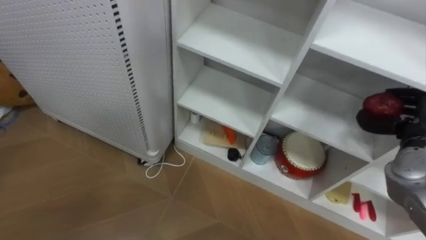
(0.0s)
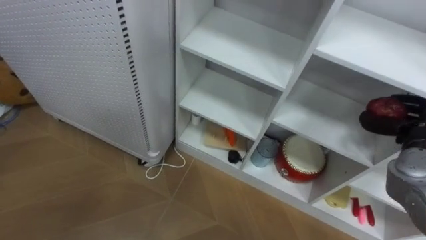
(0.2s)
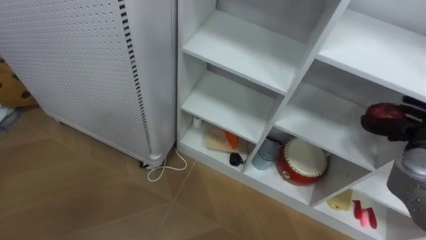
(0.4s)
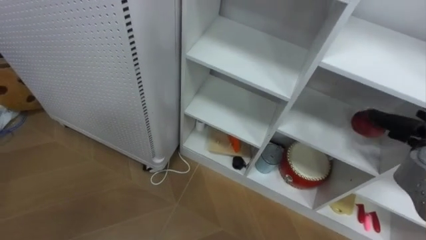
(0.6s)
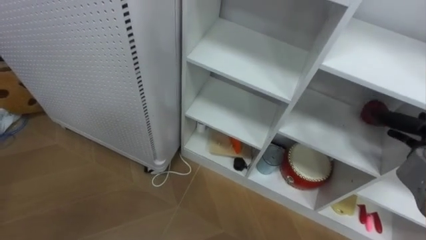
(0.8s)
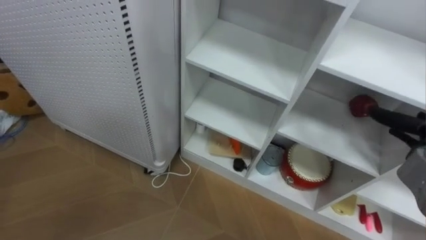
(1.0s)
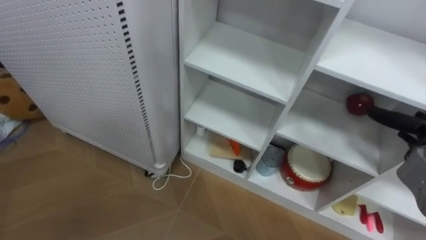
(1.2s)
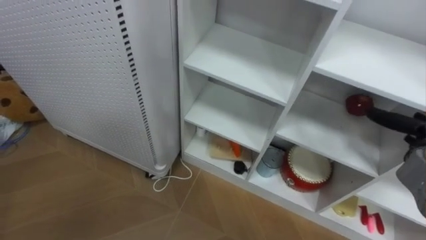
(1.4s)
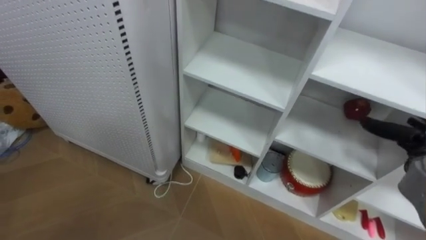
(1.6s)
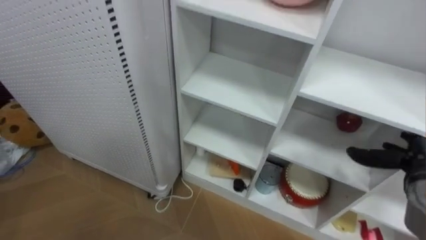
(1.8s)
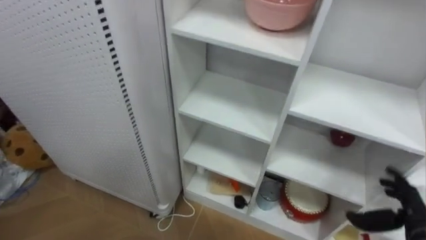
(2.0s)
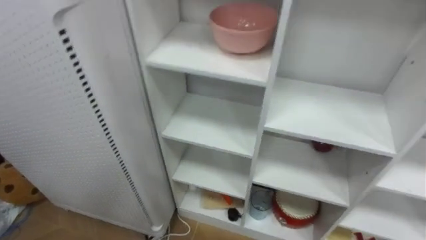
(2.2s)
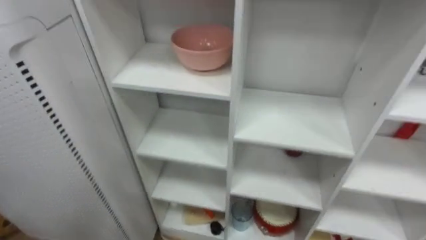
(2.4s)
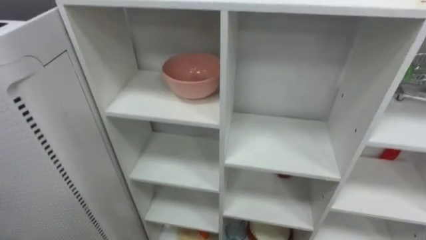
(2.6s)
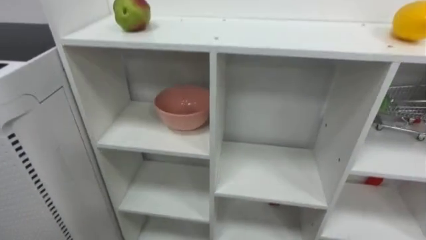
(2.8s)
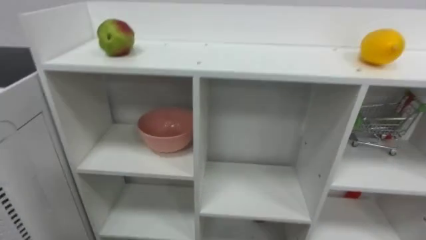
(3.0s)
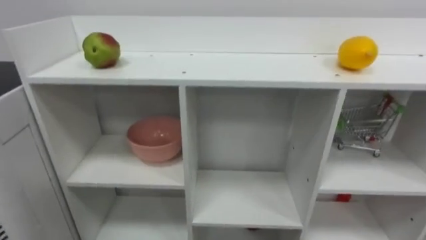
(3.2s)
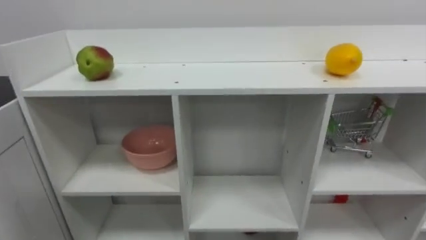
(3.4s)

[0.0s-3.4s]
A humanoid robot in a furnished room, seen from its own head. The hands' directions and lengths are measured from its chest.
Task of the whole recording: Put the apple in the cell in the second column from the left and the second row from the top.
0.0s to 1.6s: The right hand opens its fingers.

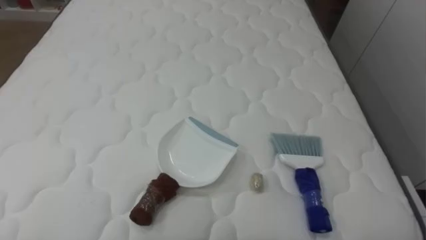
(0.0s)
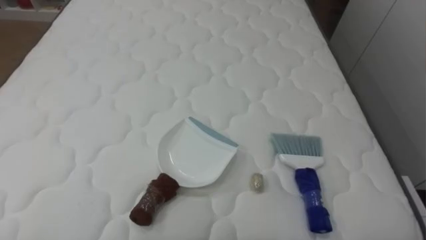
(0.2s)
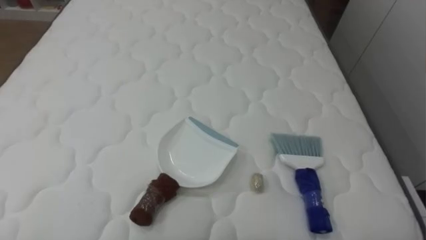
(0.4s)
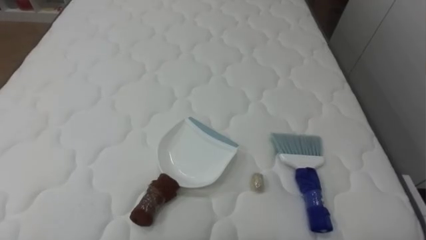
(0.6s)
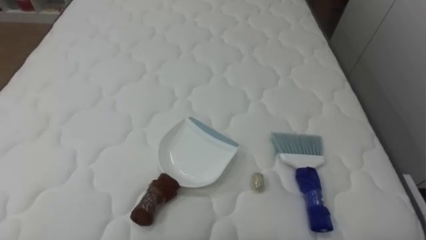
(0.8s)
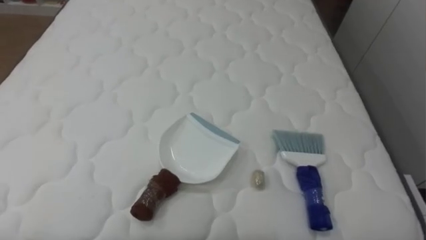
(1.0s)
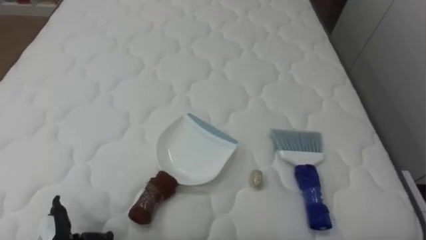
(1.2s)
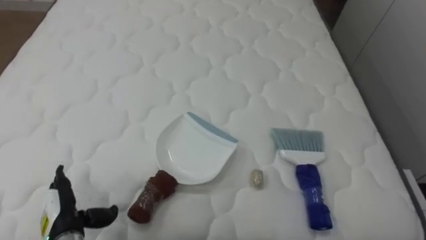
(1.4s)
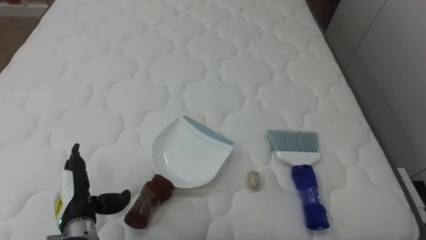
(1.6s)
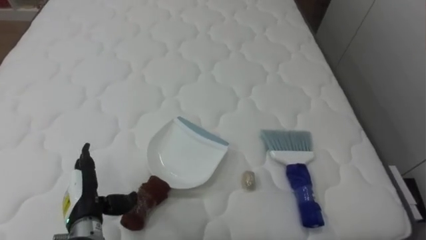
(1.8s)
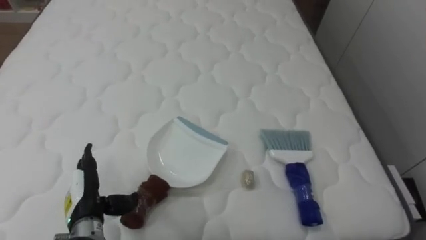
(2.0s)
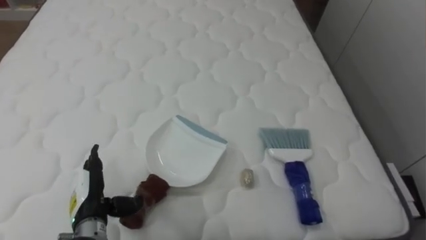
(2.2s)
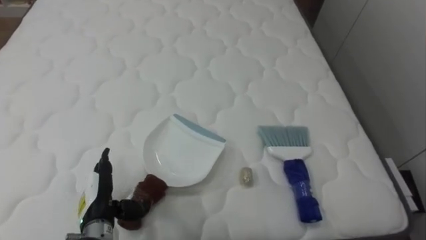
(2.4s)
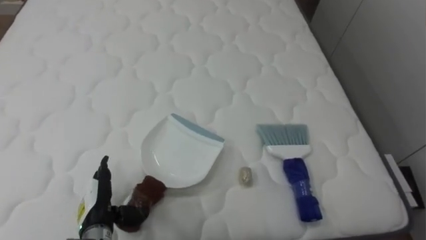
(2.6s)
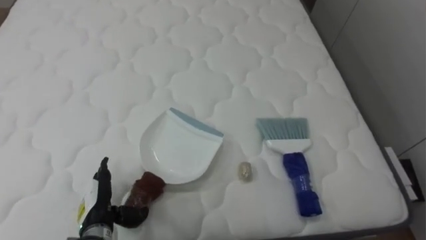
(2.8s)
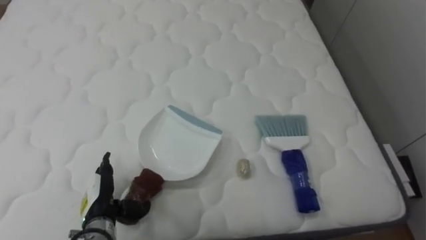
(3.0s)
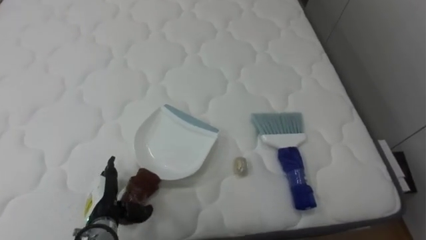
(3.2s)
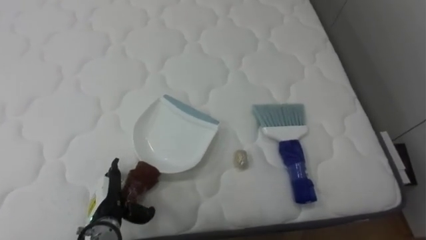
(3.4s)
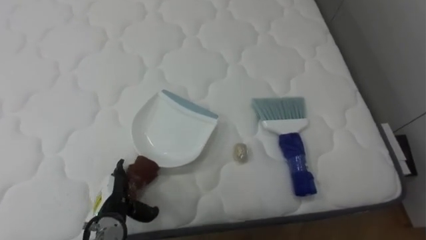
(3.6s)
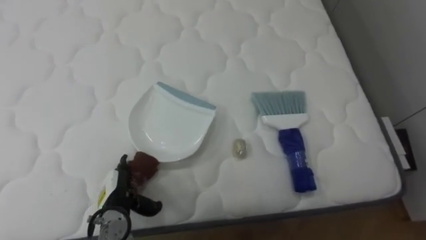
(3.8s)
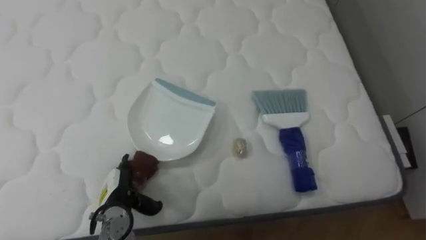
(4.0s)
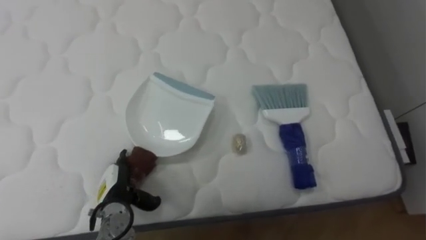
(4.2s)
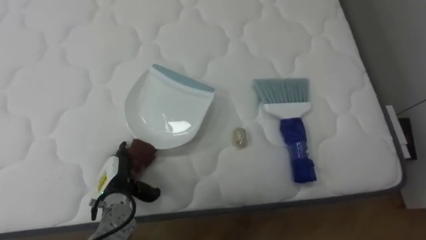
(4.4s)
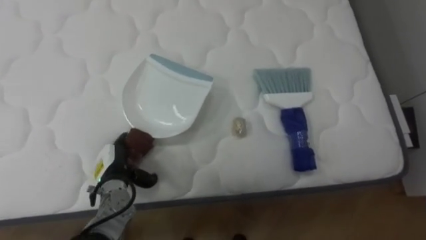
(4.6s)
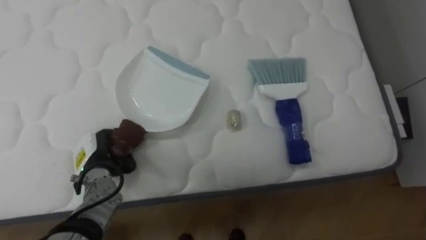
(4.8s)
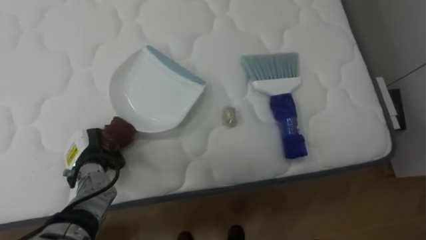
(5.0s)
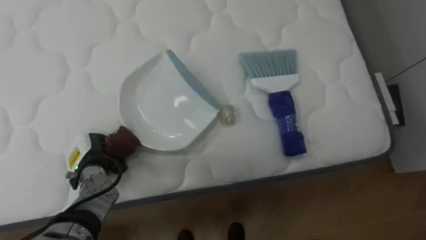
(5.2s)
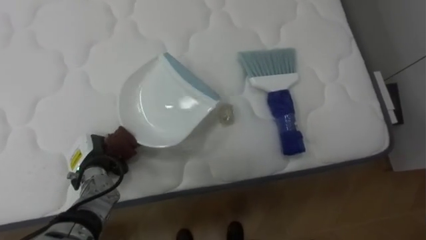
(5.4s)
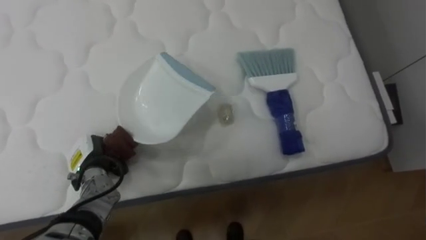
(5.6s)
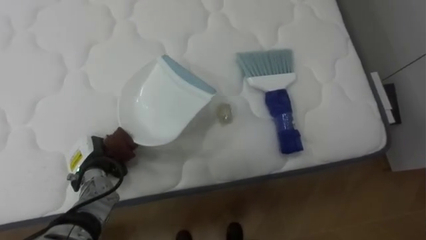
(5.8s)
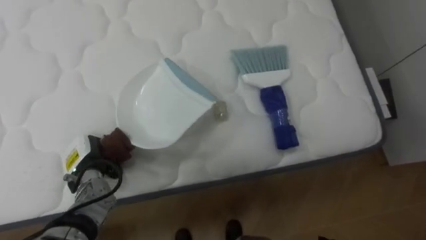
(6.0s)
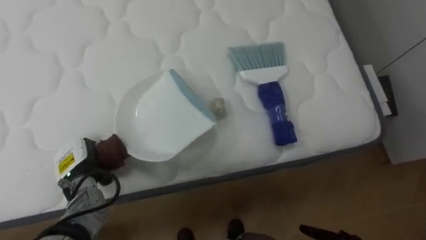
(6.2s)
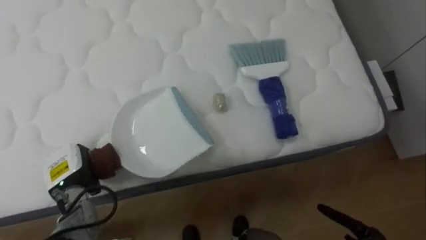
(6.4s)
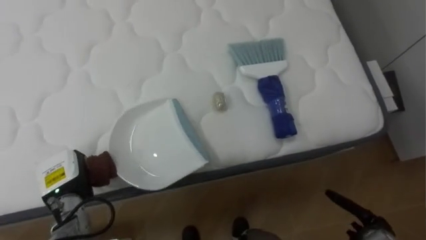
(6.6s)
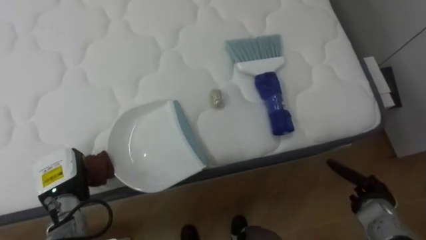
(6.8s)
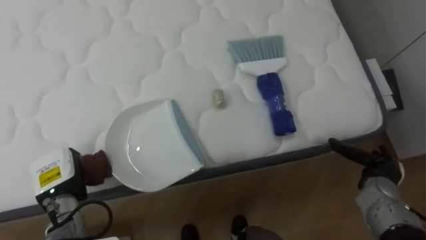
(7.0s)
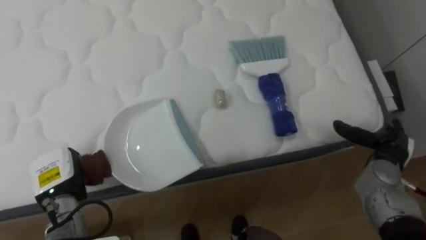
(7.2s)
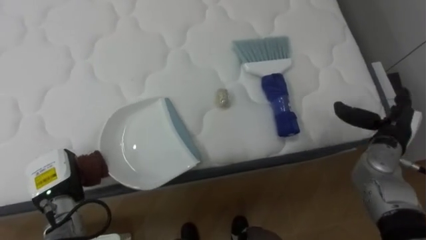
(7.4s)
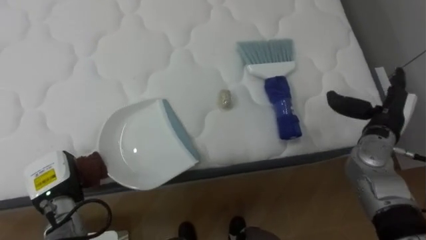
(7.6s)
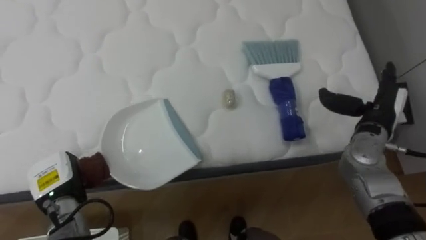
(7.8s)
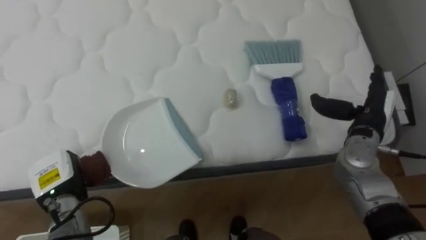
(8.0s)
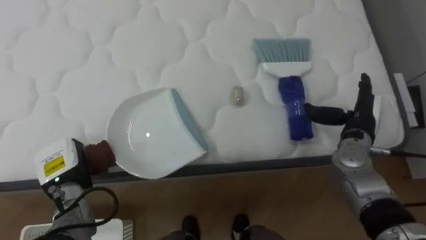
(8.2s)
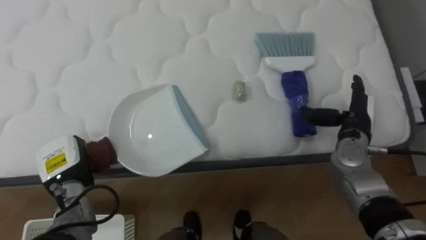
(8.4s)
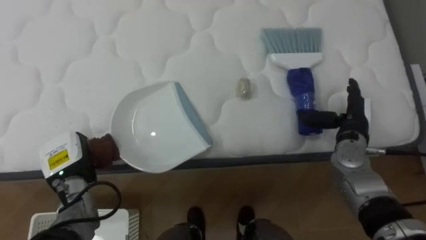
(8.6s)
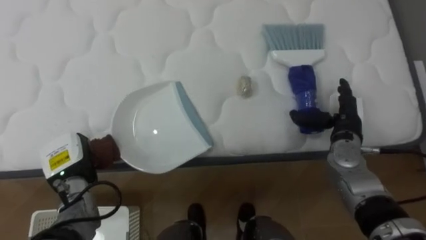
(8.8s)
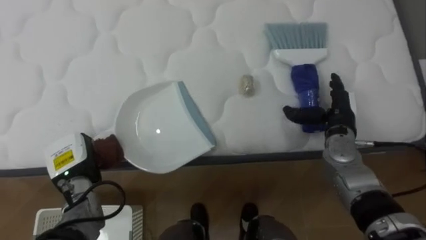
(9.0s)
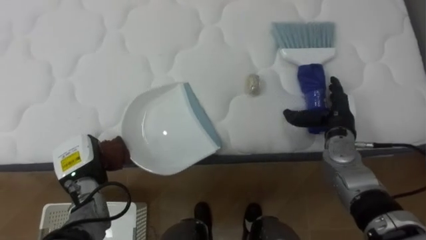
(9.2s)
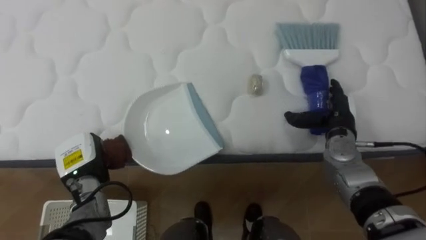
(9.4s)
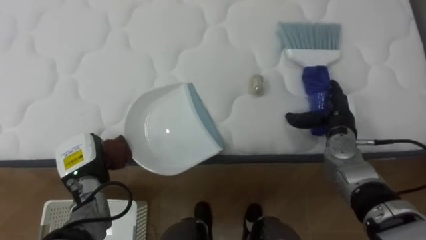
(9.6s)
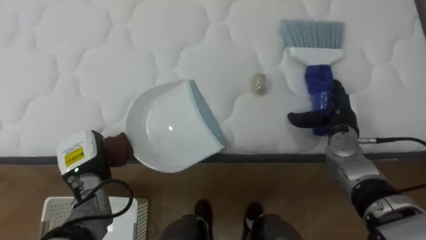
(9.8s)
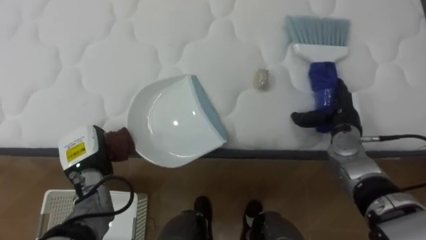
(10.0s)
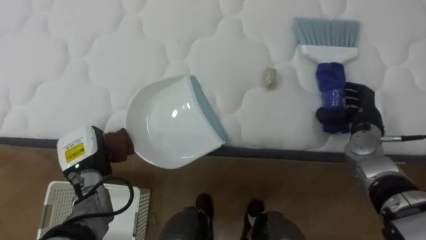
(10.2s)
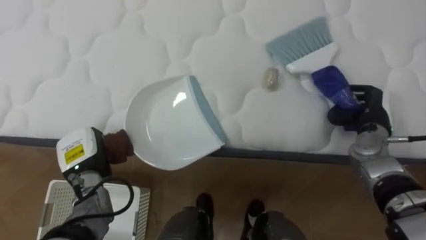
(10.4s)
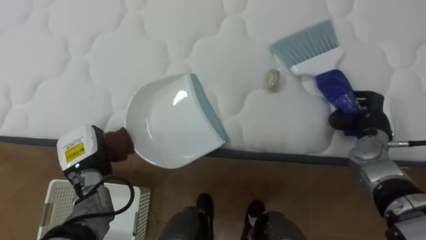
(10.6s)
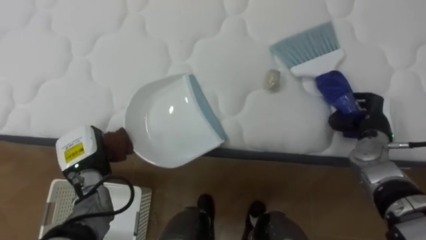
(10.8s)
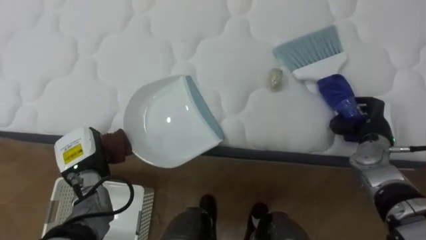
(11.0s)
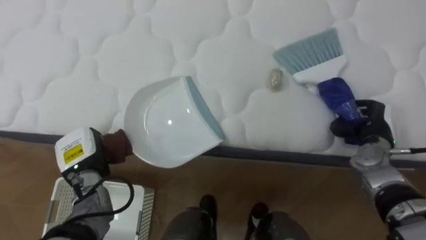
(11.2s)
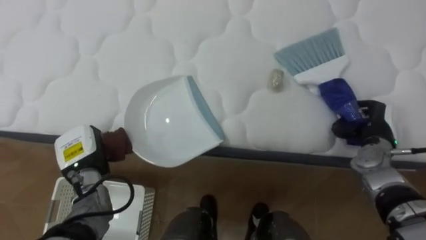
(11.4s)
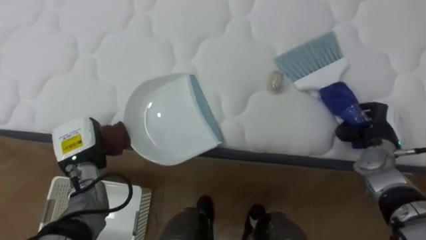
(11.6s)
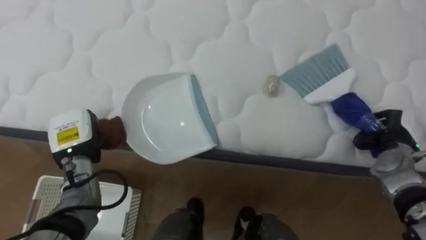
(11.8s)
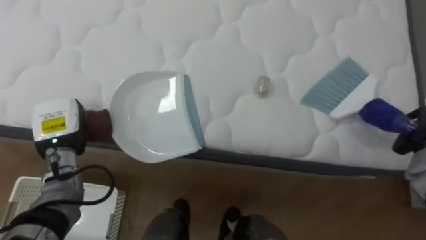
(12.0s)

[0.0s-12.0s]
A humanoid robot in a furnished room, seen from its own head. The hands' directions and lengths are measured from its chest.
Task of the whole recording: Pick up the brush on your right and the dustpan on your left. Use the brush to sweep the crumpled paper on the bed into the dustpan, then turn left and empty it into the basket.
1.6s to 3.0s: The left hand moves about 5 cm.
3.0s to 4.4s: The left hand shifts by roughly 5 cm.
4.4s to 6.0s: The left hand travels to the left by about 5 cm, and closes its fingers.
6.0s to 7.6s: The left hand ends up roughly 5 cm from where it was.
7.6s to 9.0s: The right hand heads to the left, covering approximately 5 cm.
9.0s to 10.4s: The right hand goes about 5 cm to the right, and closes its fingers.
10.4s to 12.0s: The left hand shifts roughly 5 cm upward.

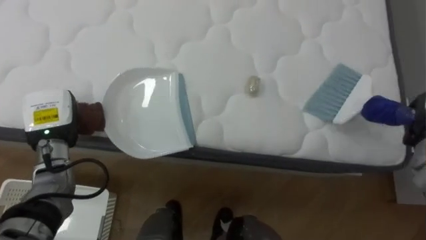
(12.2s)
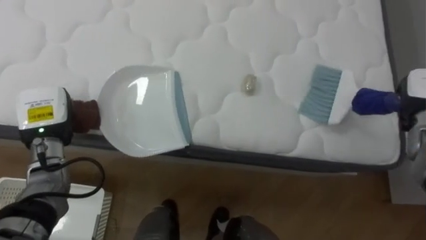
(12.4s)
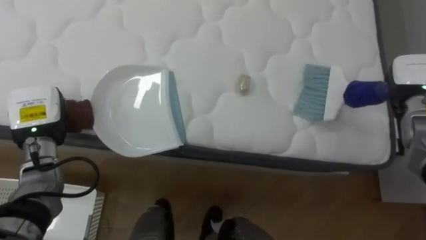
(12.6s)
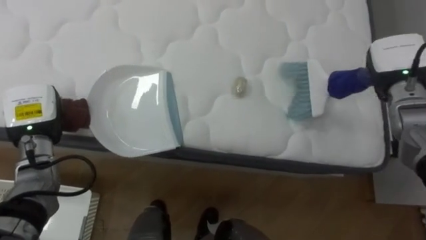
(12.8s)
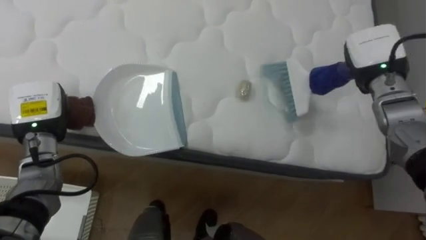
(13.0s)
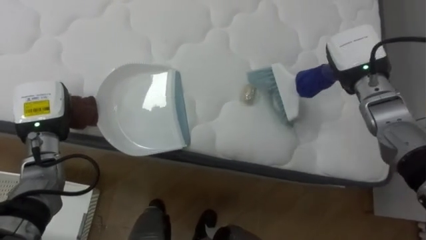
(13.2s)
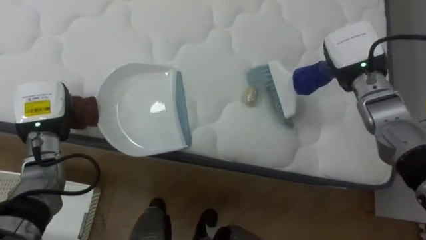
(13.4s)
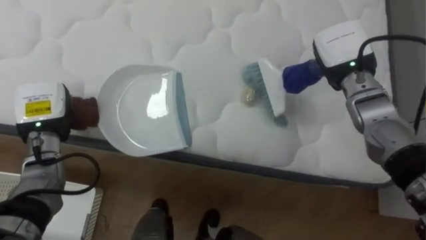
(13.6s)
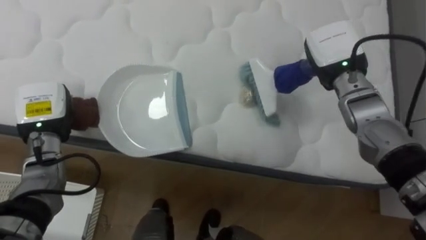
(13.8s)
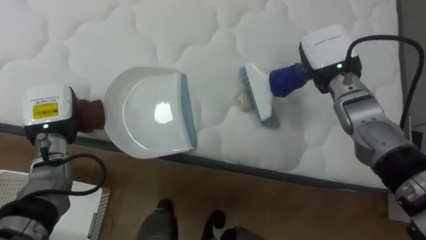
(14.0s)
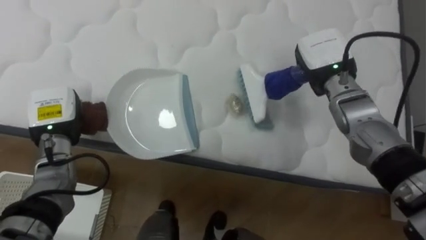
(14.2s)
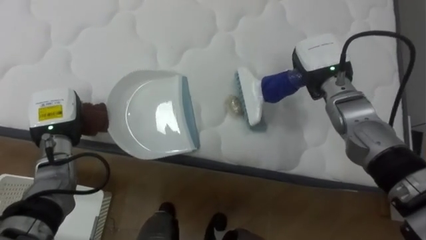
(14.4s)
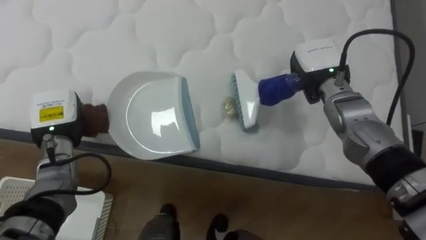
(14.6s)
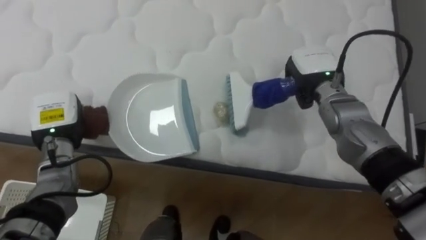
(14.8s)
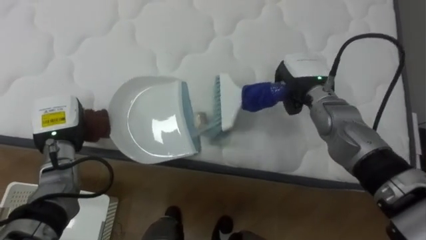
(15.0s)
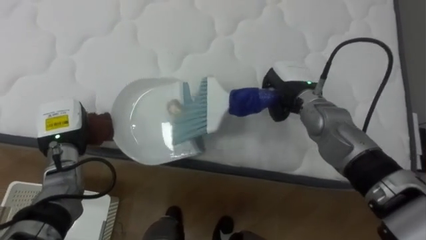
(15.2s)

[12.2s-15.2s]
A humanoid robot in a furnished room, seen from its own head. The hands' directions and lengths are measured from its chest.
Task of the whole recording: Pick up the brush on your right and the dustpan on your left. Use the brush to sweep the crumpled paper on the bed into the dustpan, then turn left and empty it into the basket.
13.8s to 15.2s: The right hand heads to the left and downward, covering some 10 cm.
